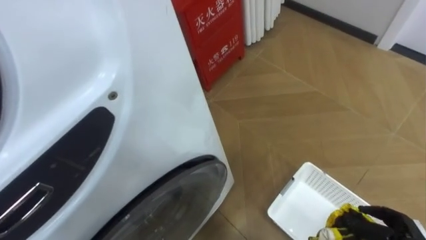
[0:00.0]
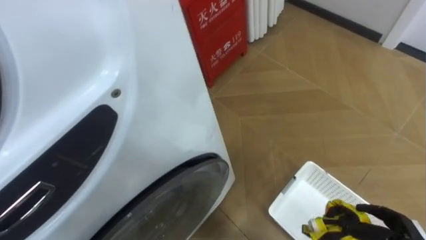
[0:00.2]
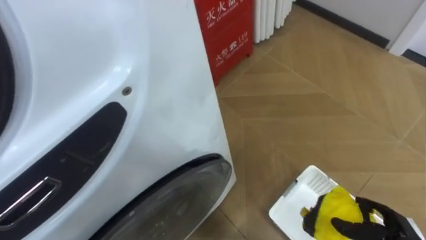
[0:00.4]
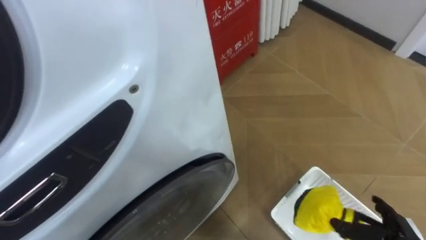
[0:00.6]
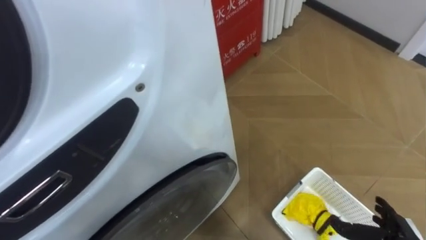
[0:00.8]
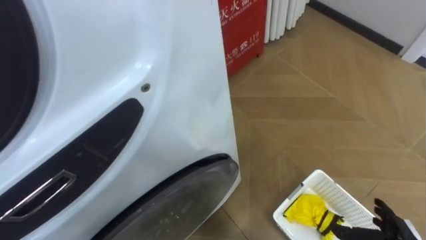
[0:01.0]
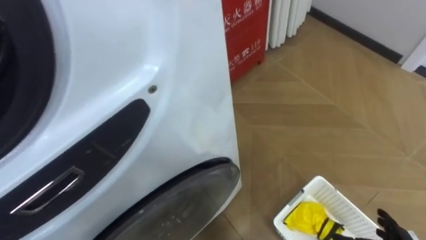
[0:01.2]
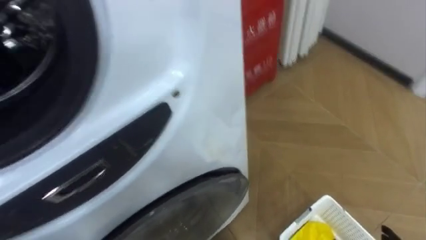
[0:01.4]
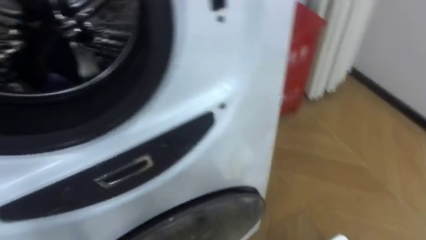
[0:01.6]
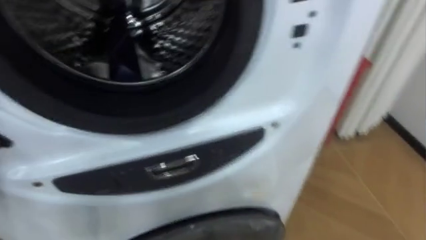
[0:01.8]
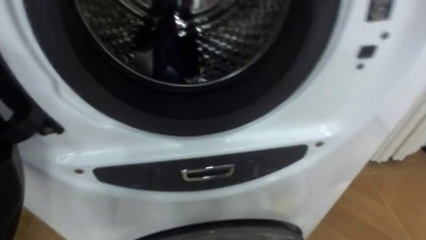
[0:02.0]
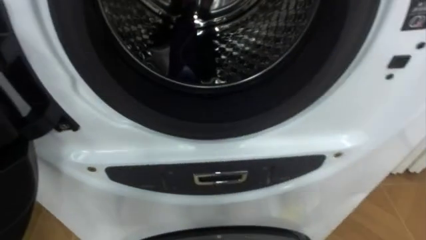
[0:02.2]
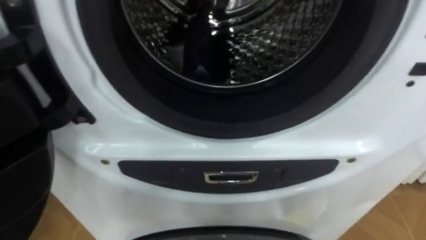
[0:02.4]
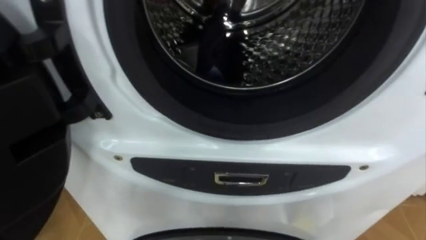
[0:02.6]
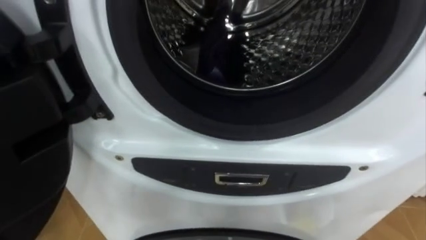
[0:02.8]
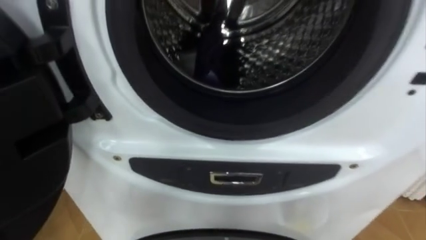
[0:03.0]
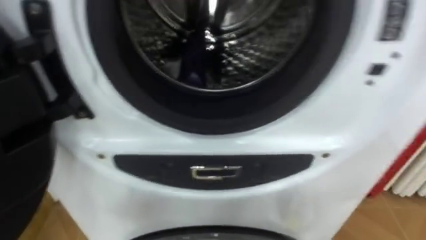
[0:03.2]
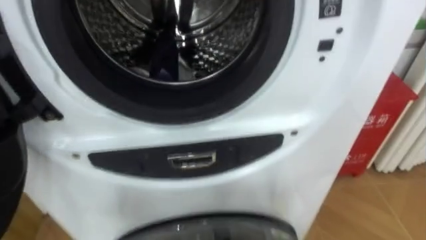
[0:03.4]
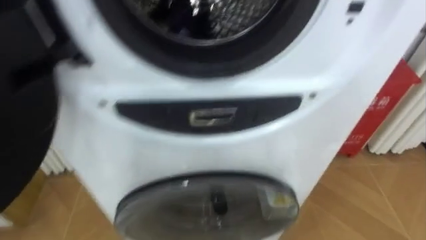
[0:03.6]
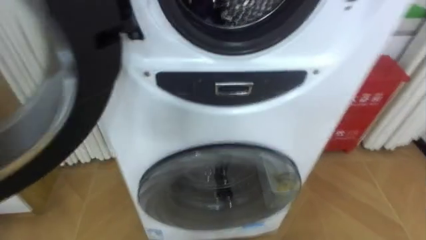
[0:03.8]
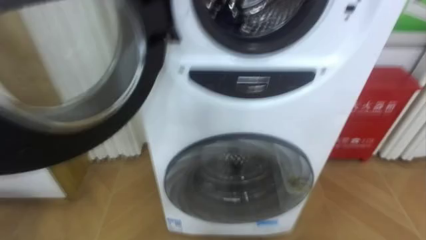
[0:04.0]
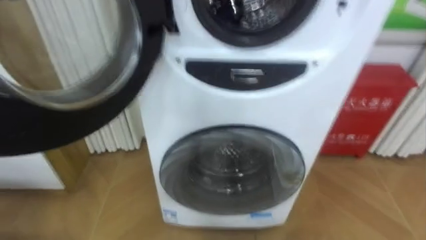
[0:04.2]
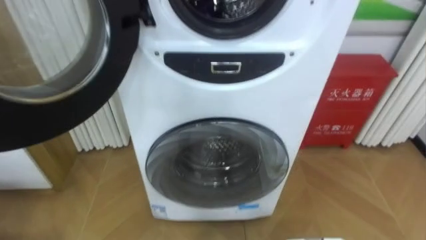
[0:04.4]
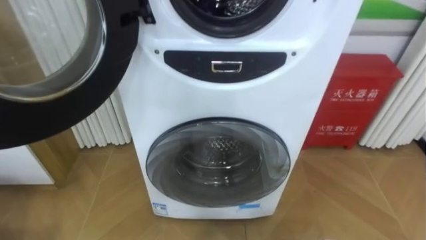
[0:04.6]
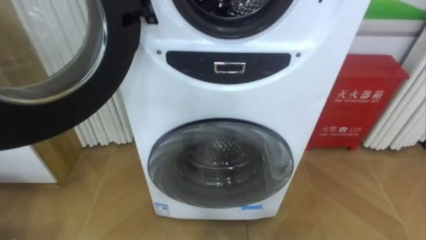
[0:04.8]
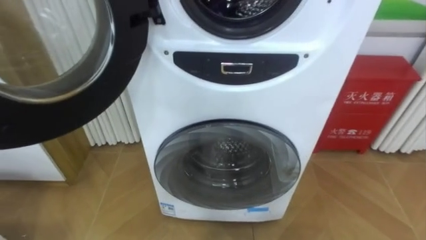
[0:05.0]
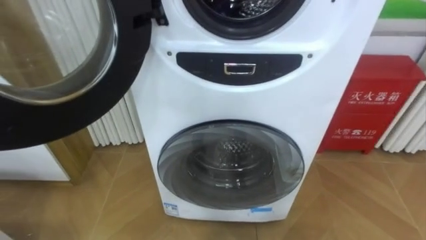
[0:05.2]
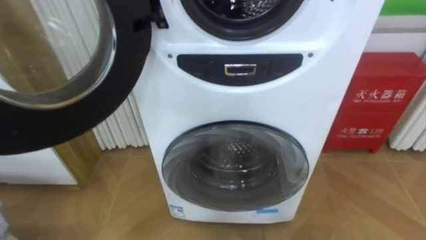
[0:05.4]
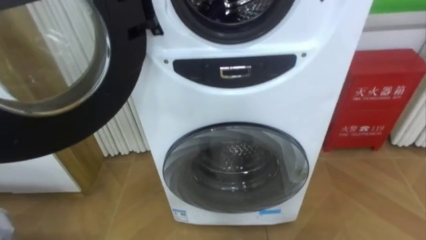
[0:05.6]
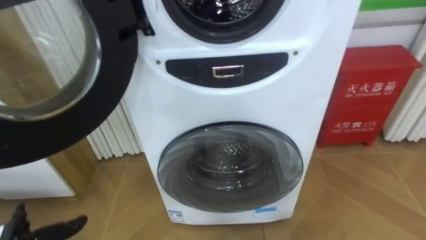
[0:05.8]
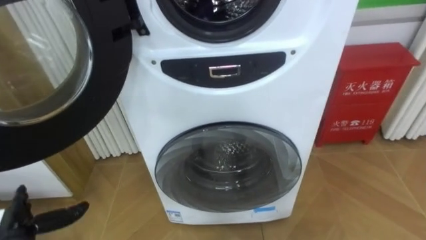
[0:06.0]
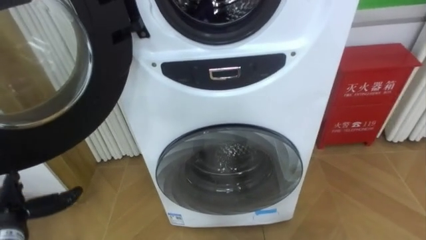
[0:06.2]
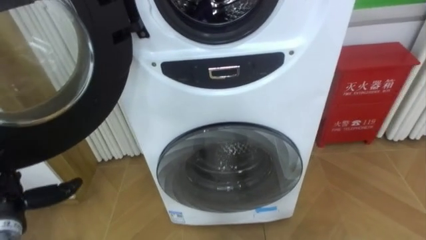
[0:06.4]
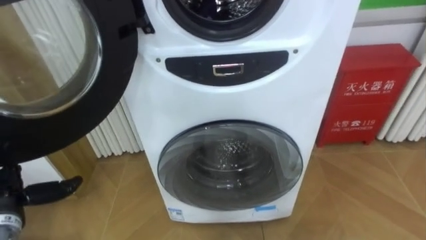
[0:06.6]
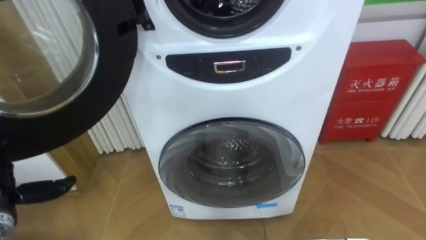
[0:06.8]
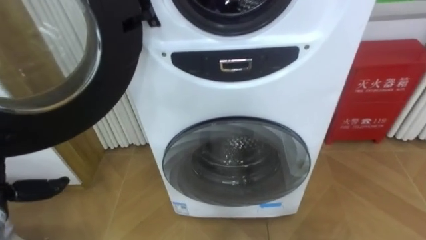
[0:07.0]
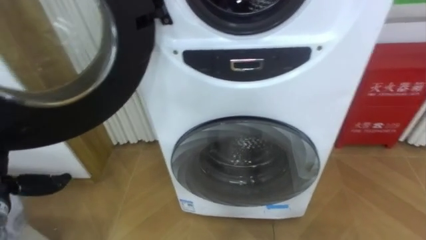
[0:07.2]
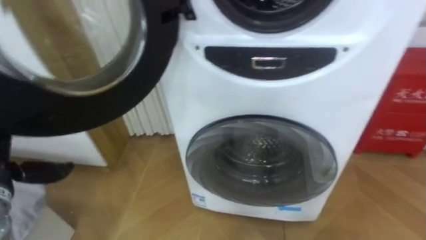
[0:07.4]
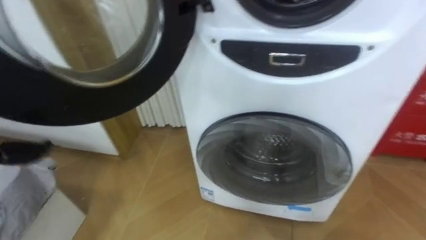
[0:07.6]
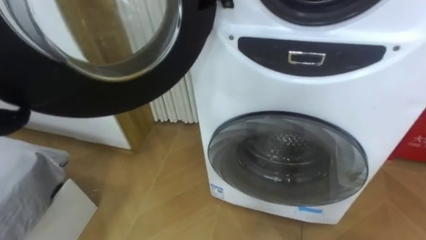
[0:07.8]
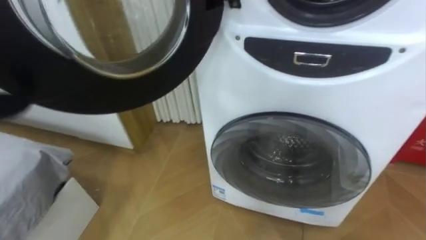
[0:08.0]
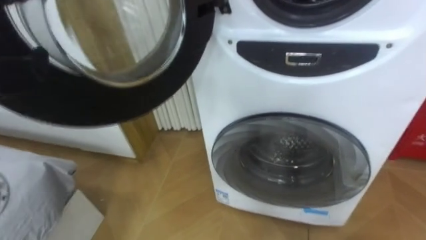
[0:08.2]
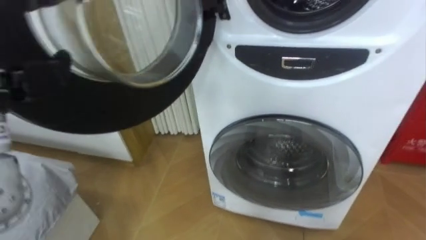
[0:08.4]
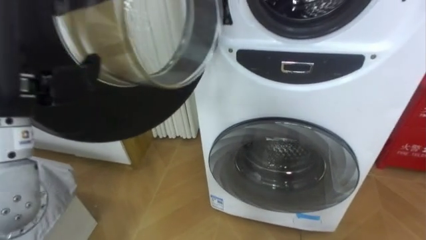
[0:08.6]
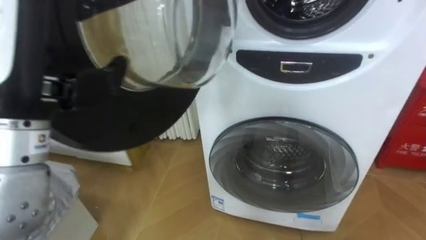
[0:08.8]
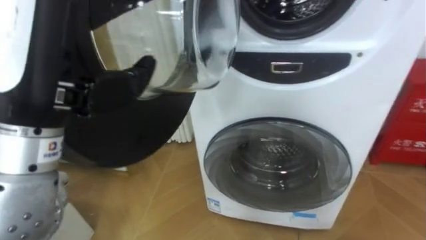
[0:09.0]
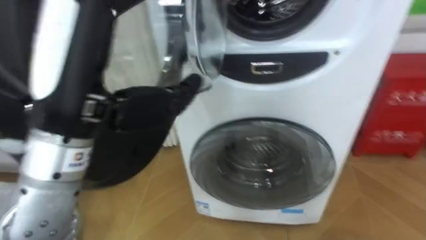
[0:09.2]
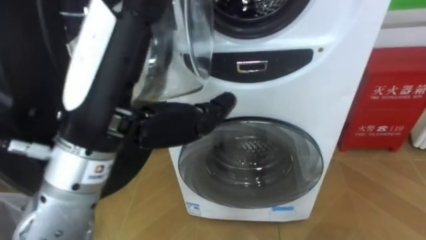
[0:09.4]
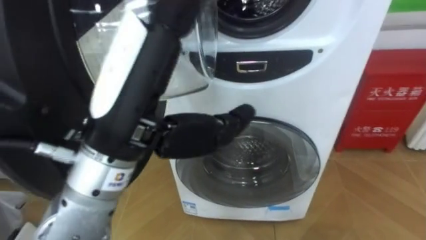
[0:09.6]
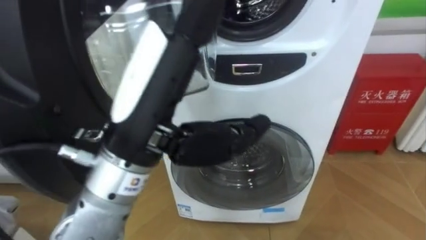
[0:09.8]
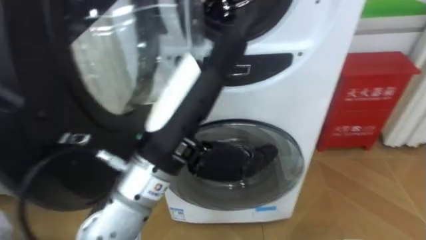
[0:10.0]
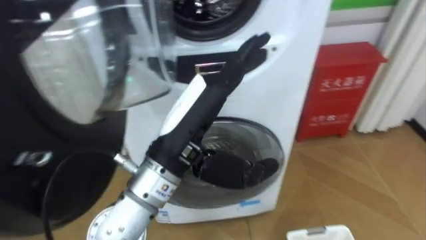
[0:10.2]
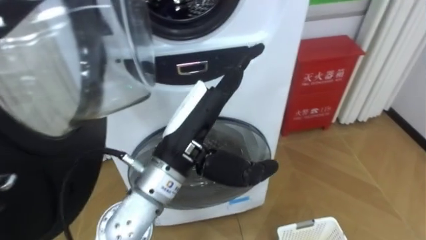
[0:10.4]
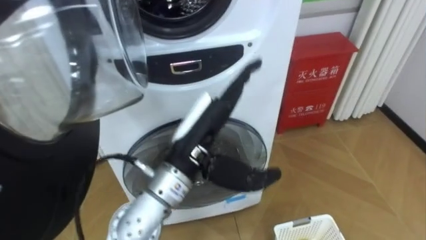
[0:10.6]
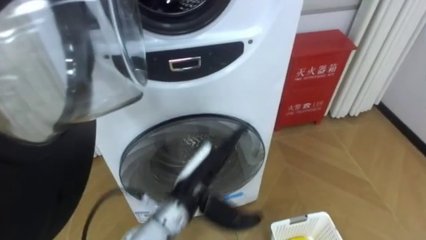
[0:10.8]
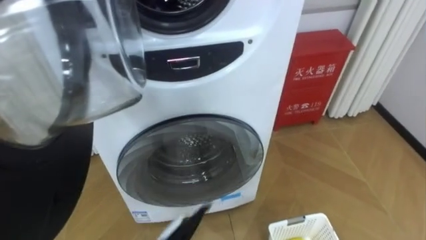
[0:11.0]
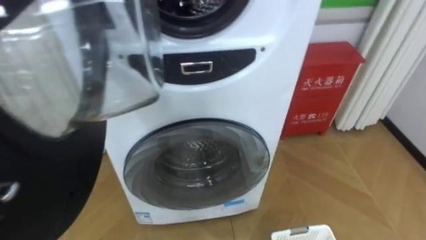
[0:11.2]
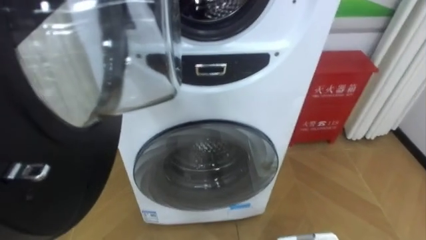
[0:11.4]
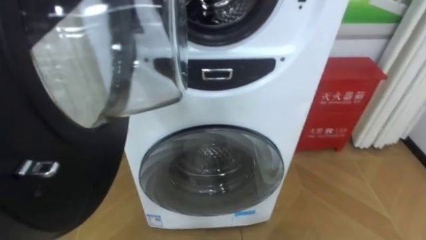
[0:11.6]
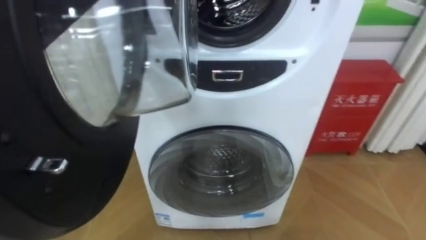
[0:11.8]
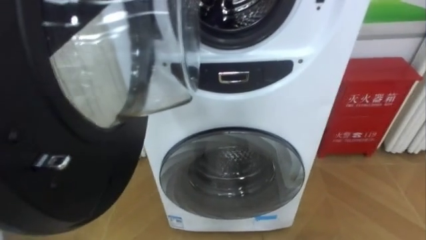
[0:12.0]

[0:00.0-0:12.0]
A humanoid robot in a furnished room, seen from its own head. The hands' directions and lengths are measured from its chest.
Task of the whole recording: Open the washing machine door, take out the yellow clothes, place them in the box on the right, and close the washing machine door.
0:09.0 to 0:10.4: The left hand shifts roughly 15 cm to the right and downward.

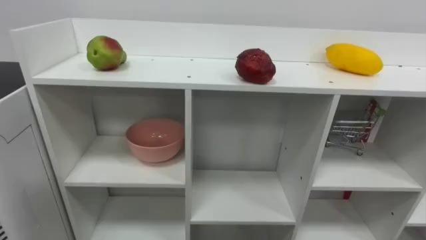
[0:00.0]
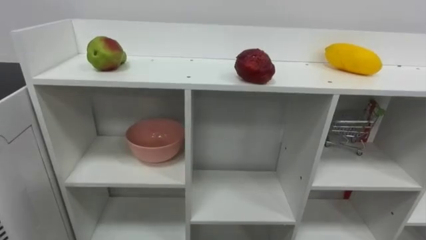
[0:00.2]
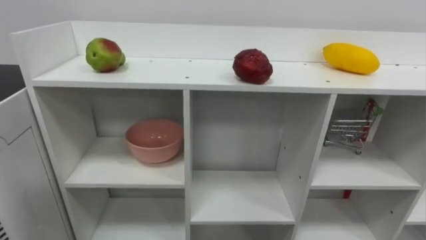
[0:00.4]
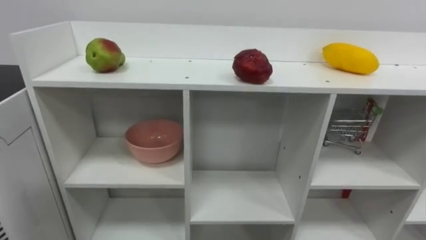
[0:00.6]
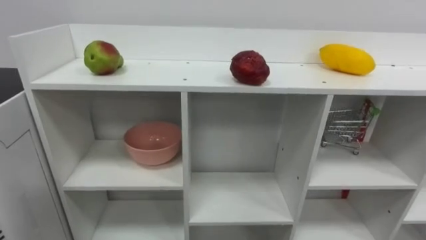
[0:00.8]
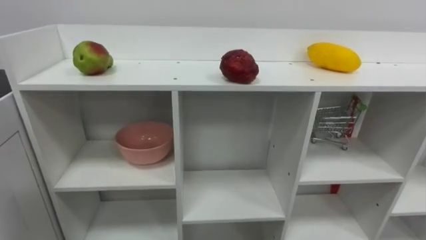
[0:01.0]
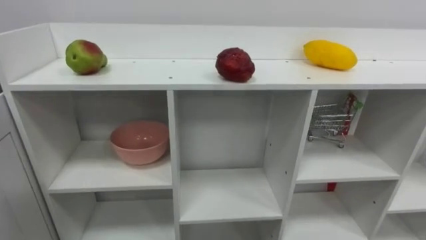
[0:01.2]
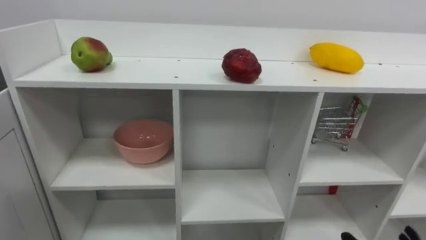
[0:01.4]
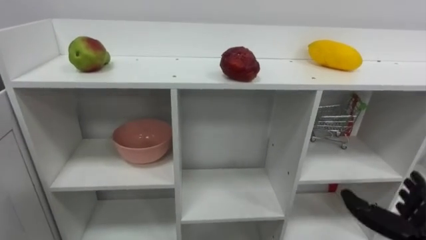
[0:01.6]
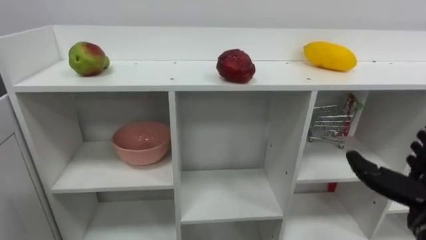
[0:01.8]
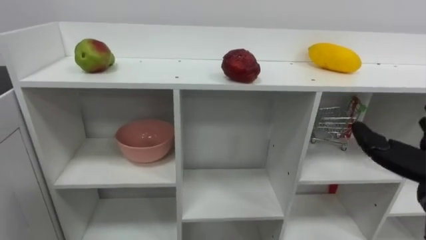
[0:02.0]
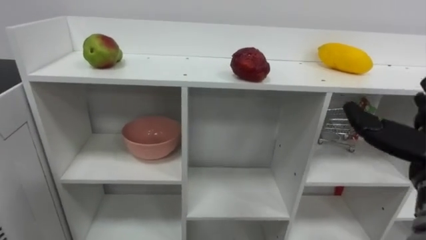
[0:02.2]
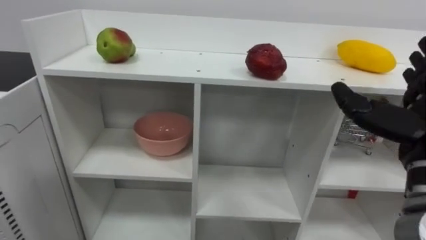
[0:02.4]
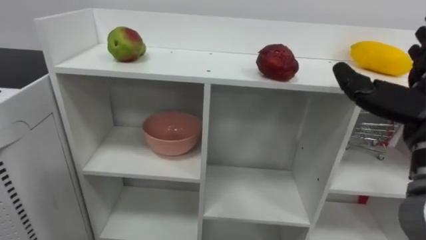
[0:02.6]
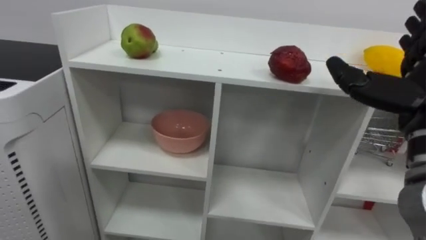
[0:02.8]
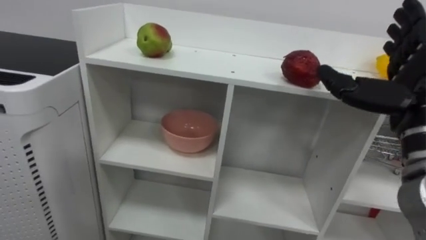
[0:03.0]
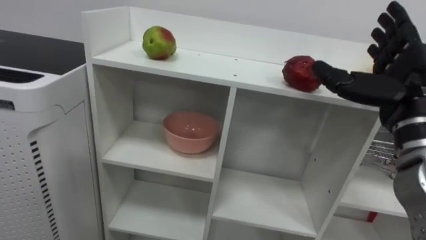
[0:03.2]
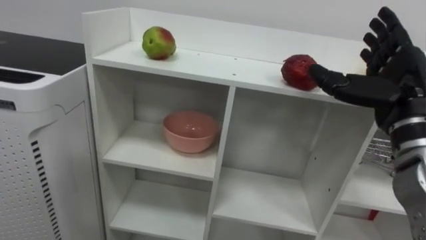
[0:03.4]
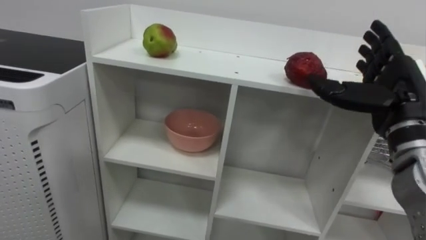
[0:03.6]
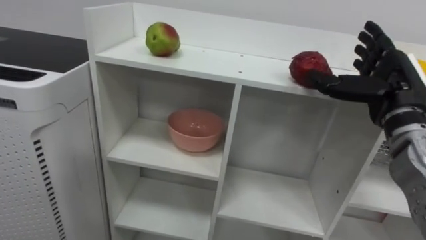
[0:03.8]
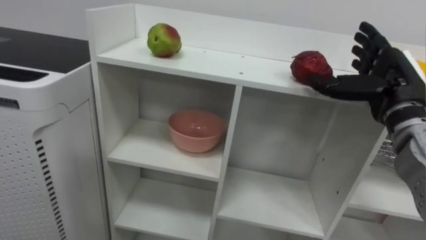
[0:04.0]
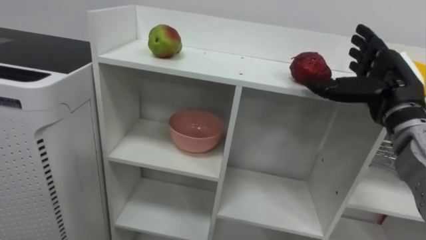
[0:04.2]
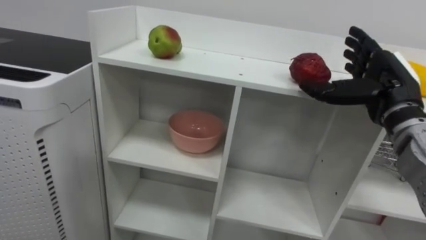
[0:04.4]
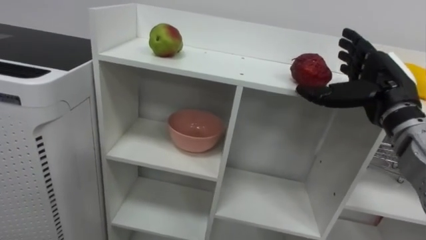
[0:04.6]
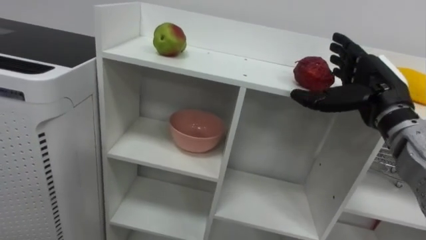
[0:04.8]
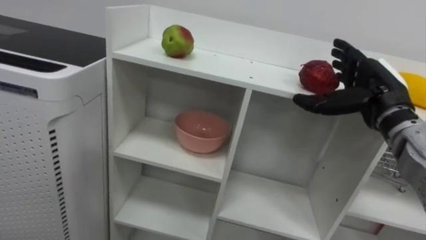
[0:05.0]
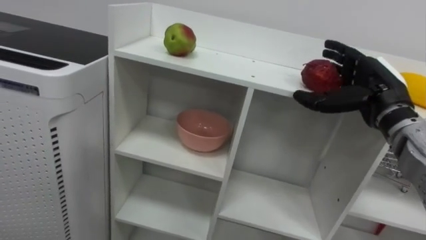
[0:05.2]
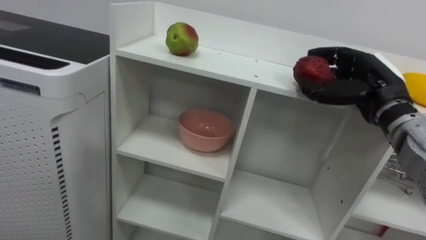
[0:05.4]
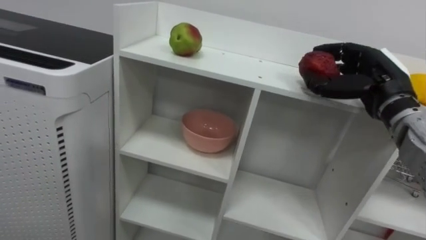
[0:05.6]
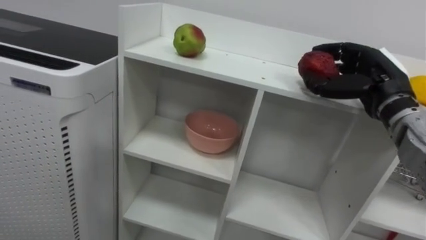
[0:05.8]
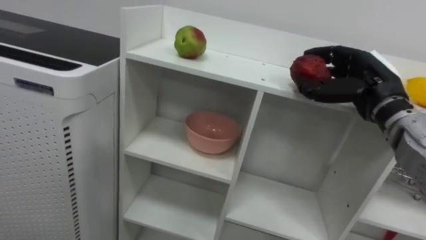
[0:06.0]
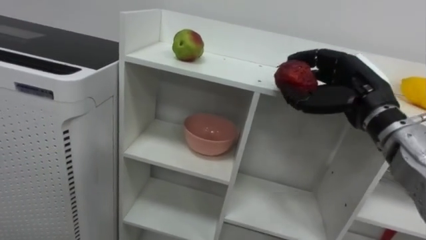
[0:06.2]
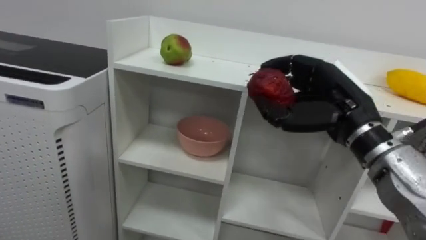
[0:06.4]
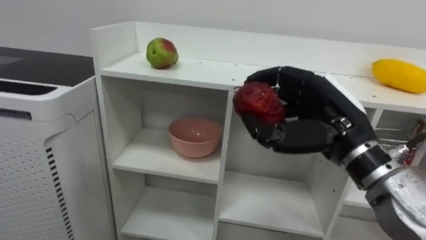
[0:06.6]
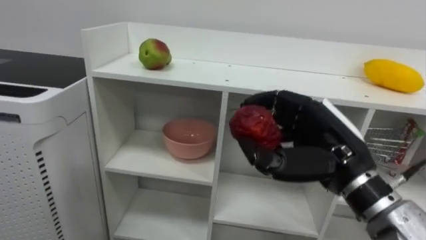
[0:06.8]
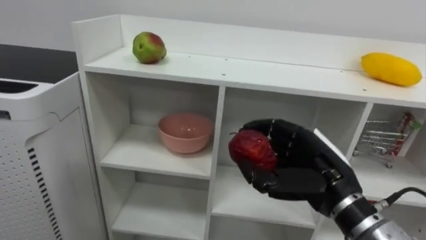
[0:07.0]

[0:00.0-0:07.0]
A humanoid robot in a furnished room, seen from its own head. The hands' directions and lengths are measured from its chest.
Task of the whole recording: Put the apple in the cell in the second column from the left and the second row from the top.
0:02.8 to 0:04.2: The right hand travels forward by about 10 cm.
0:04.2 to 0:05.6: The right hand closes.
0:05.6 to 0:07.0: The right hand goes some 15 cm backward, to the left and downward.
